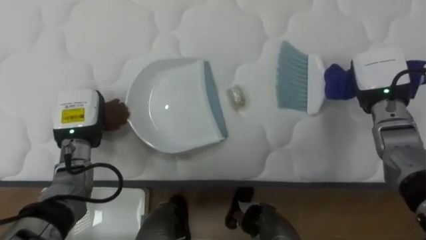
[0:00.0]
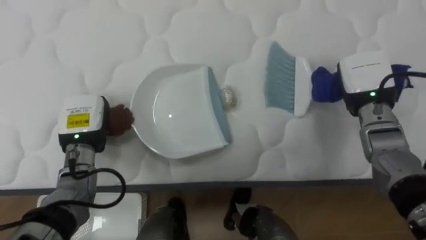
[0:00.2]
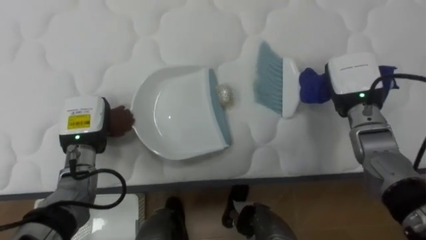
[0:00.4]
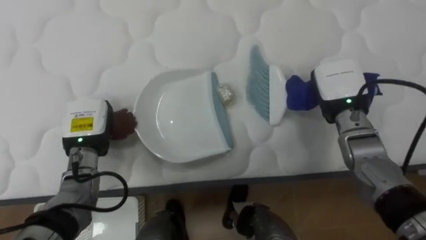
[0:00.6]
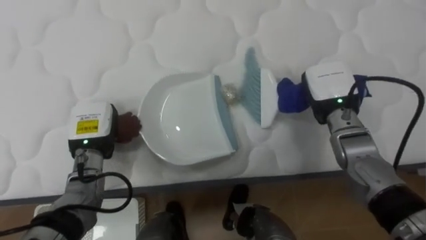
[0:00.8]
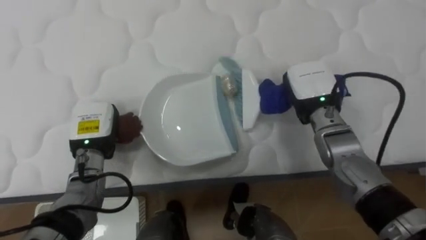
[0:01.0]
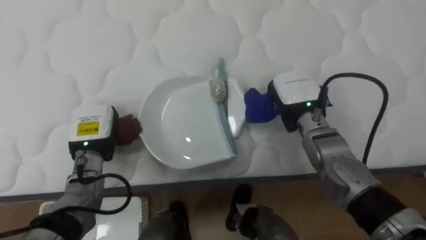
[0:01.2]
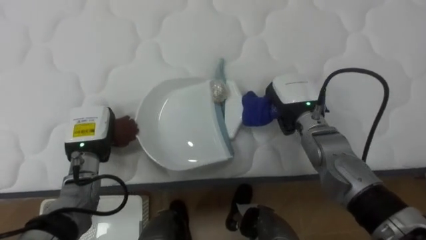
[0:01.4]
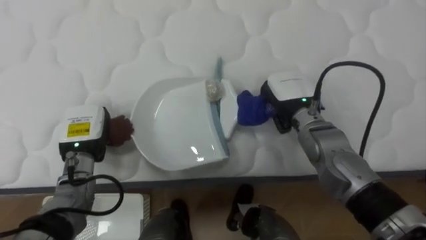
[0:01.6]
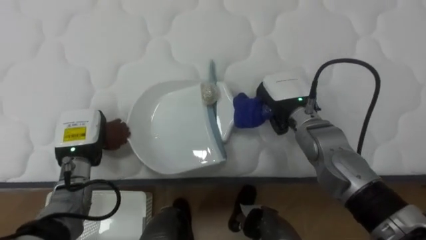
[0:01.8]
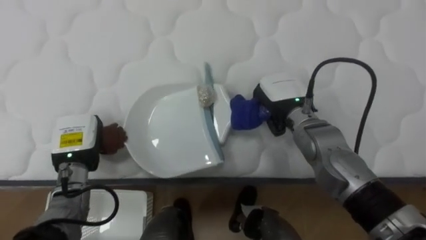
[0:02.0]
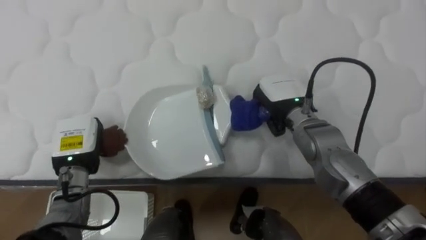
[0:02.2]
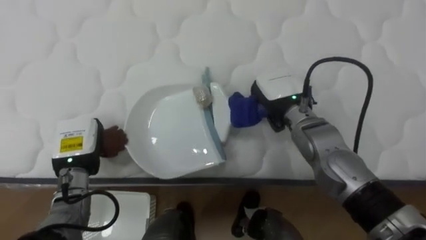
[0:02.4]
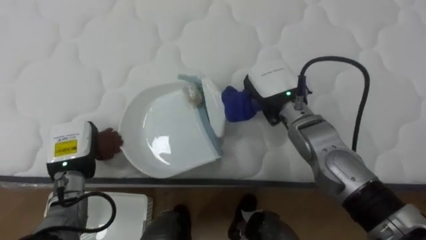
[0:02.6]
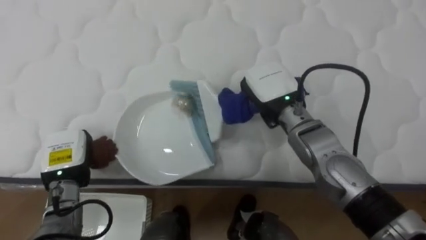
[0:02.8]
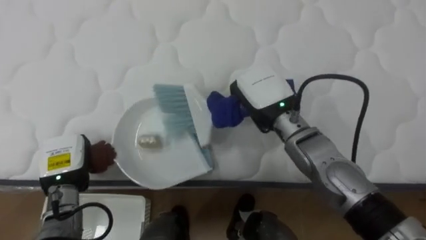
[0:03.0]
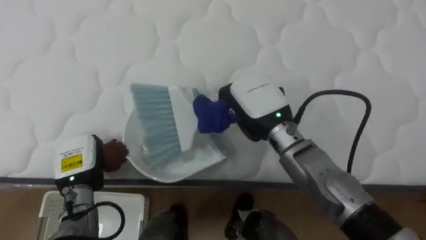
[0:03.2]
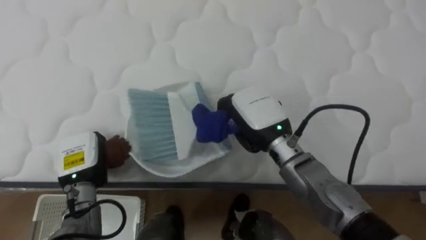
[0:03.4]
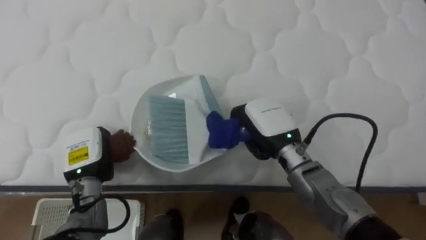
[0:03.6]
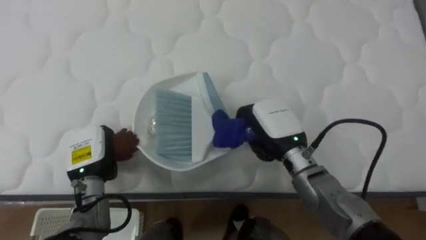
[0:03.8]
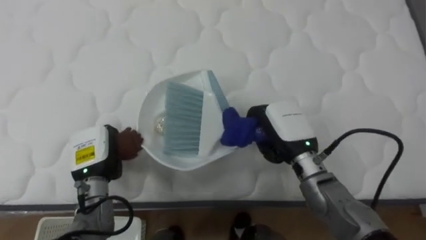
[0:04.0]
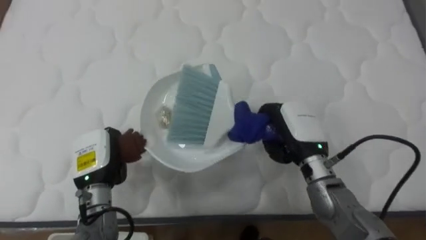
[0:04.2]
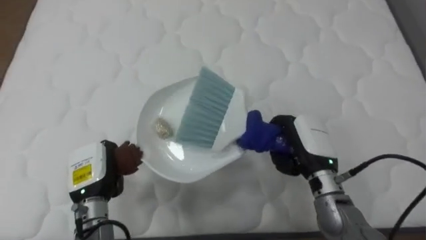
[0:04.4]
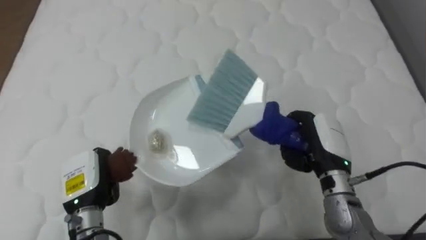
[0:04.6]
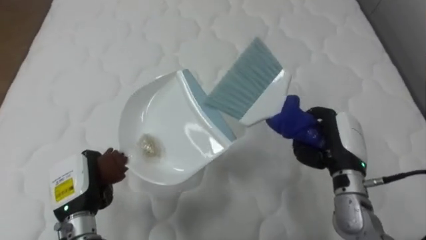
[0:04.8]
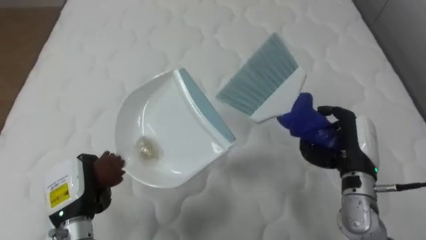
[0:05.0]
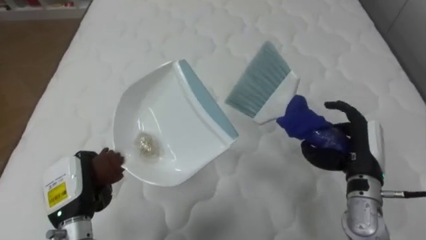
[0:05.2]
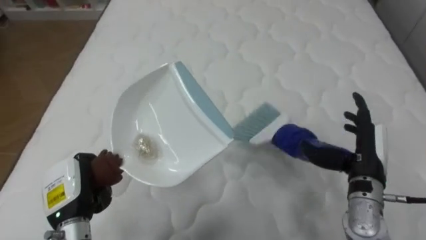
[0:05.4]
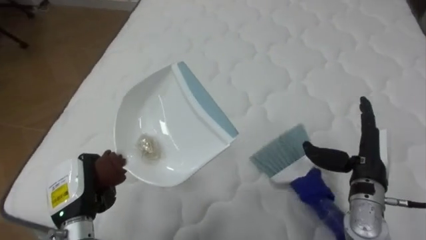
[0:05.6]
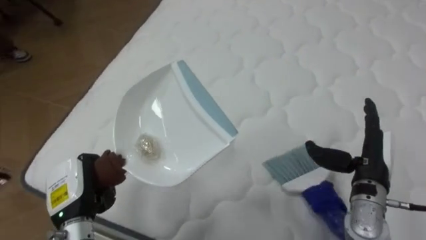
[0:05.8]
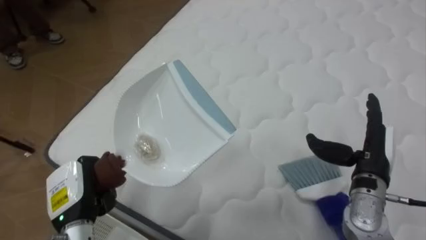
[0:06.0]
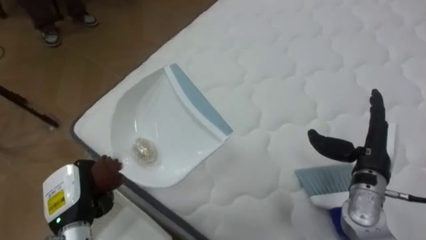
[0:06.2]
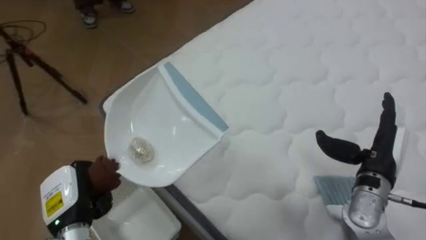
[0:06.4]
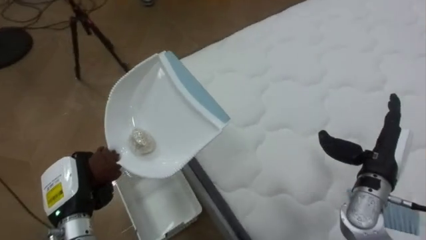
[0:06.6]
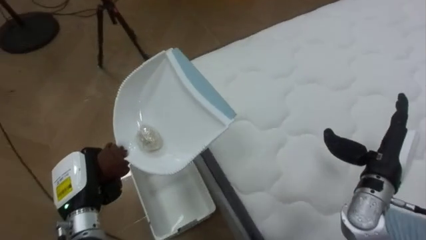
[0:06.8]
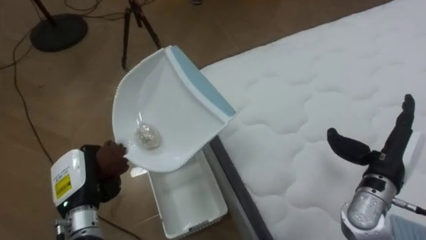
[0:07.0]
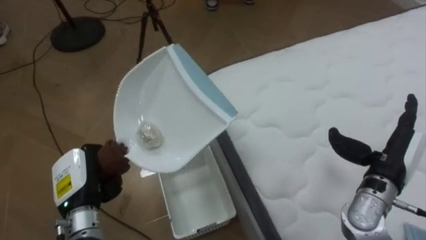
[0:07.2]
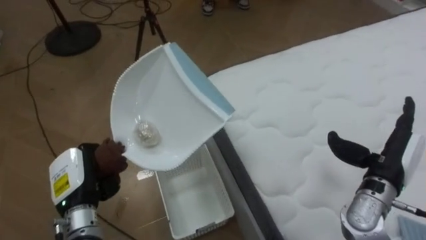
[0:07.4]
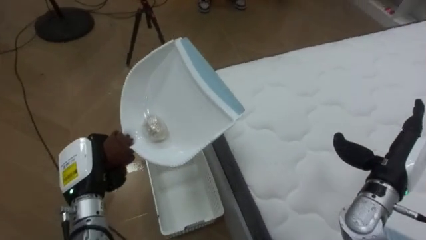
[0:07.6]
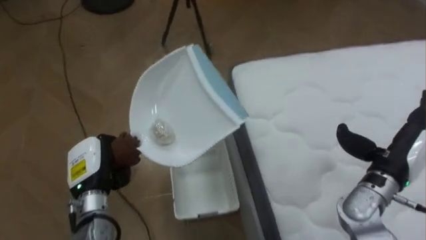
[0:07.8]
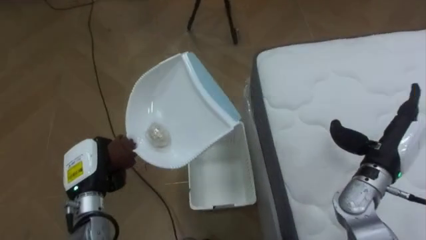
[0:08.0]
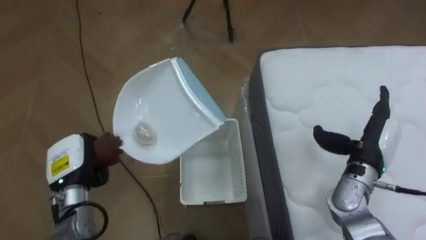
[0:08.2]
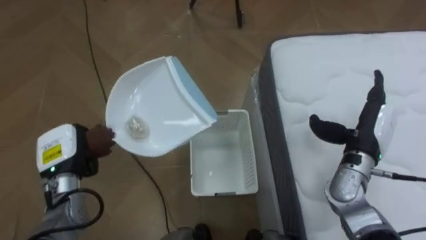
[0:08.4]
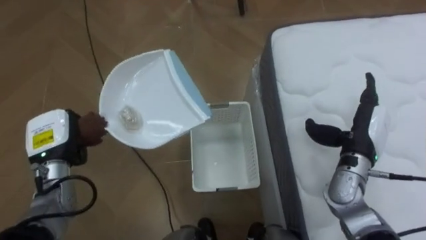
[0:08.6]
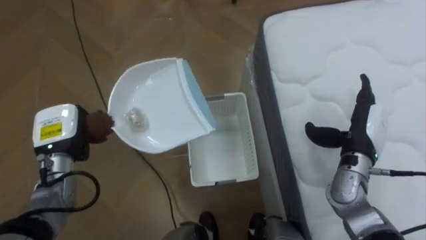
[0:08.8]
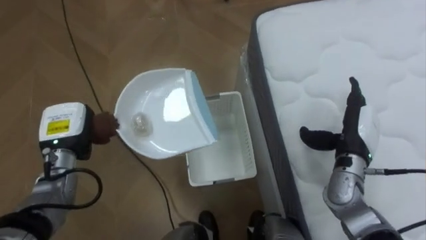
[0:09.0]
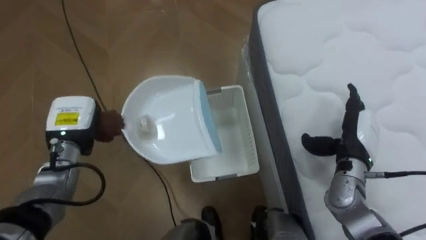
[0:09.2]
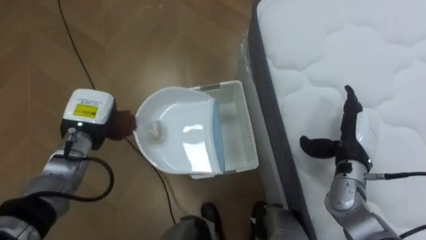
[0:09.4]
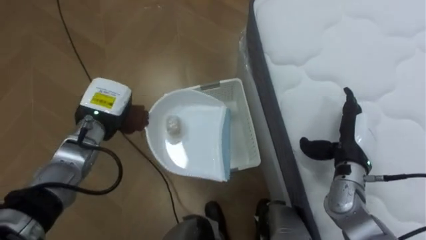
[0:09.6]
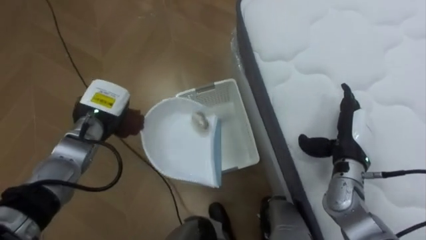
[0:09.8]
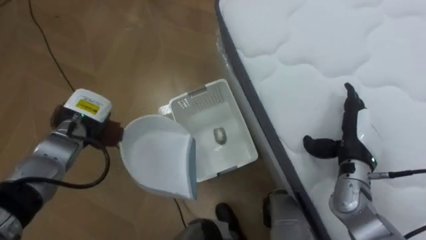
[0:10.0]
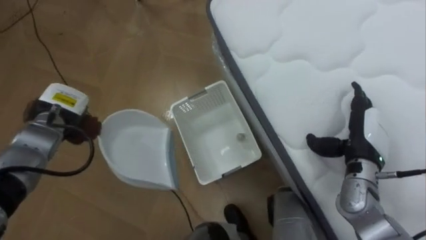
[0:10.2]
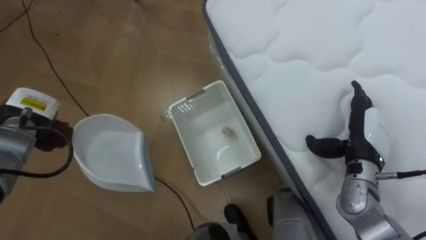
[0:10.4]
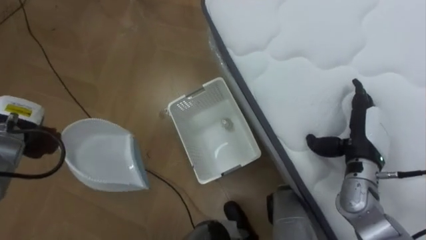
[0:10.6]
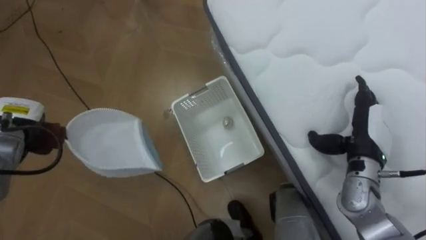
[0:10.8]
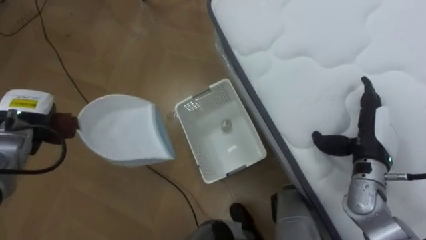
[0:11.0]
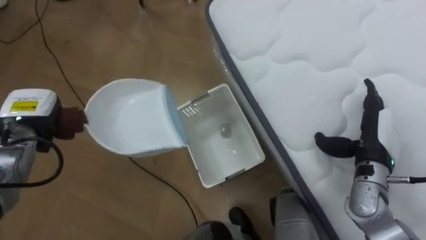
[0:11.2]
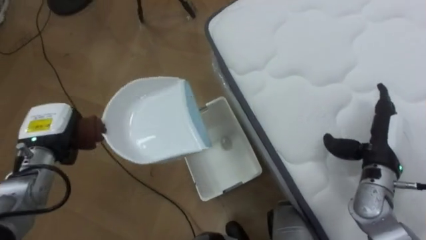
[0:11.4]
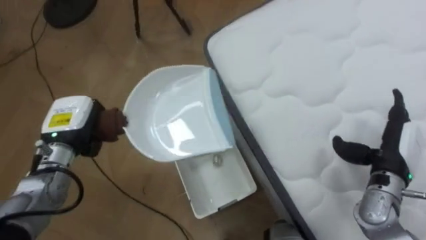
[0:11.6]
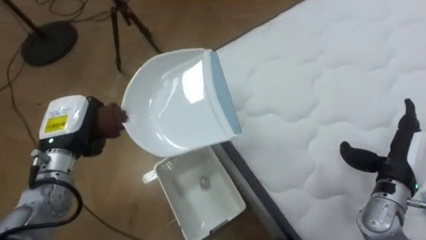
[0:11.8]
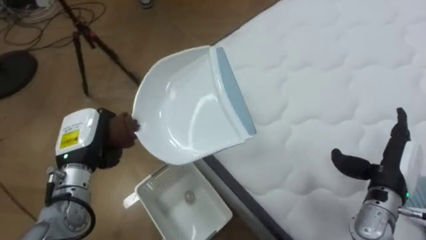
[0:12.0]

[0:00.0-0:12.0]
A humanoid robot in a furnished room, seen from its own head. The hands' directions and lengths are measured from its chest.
Task of the whole recording: Pick up the brush on your right and the dustpan on your left. Use the brush to sweep the crumpled paper on the bed into the dustpan, then turn left and empty it into the basket.
0:00.0 to 0:01.6: The right hand goes approximately 15 cm to the left.
0:01.6 to 0:03.0: The left hand goes approximately 5 cm backward, while the right hand shifts by some 5 cm.
0:03.0 to 0:04.4: The right hand moves to the right, downward and backward, roughly 15 cm. Meanwhile the left hand is displaced to the right by roughly 5 cm.
0:04.4 to 0:06.0: The robot rotates roughly 20 degrees to its left. The right hand travels to the right by approximately 10 cm, and opens its fingers. The left hand shifts by some 5 cm.
0:06.0 to 0:07.6: The robot rotates roughly 50 degrees to its left.
0:07.6 to 0:09.0: The robot faces some 15 degrees further to its left. Both hands travel together forward, some 10 cm.
0:09.0 to 0:10.4: The left hand travels to the left by roughly 5 cm.
0:10.4 to 0:12.0: The robot's body swings roughly 25 degrees to its right. The left hand heads to the right and backward, covering about 10 cm. The right hand goes roughly 5 cm backward.

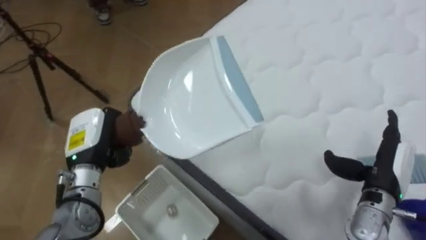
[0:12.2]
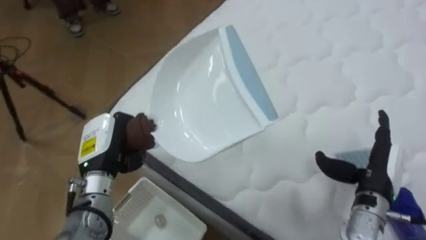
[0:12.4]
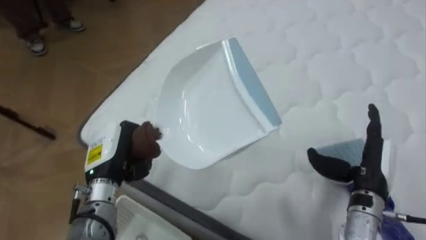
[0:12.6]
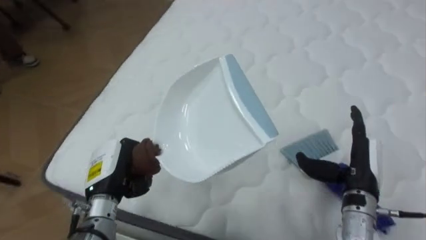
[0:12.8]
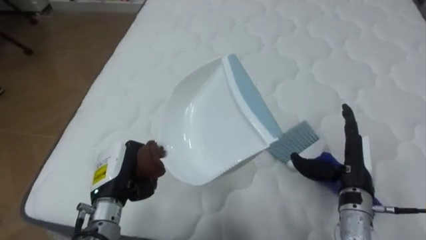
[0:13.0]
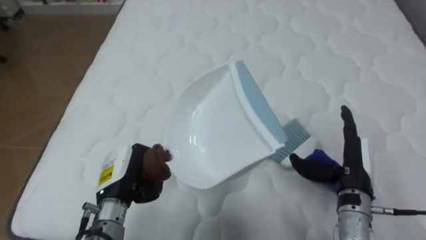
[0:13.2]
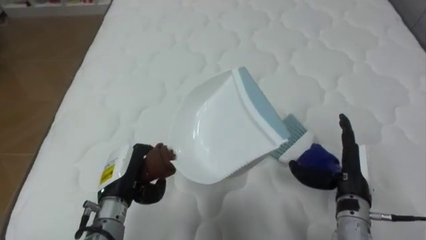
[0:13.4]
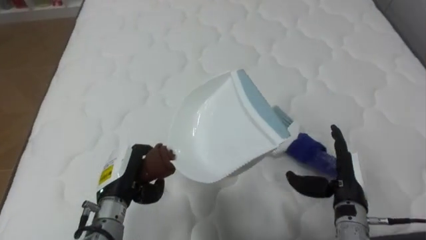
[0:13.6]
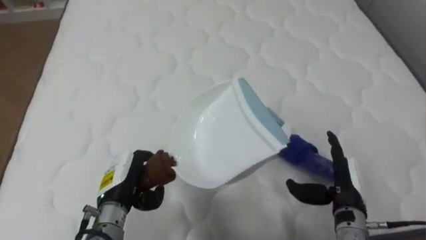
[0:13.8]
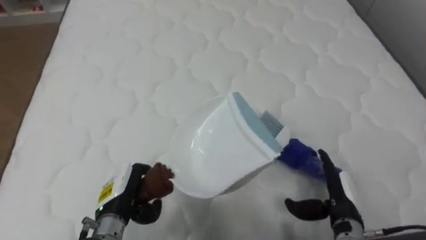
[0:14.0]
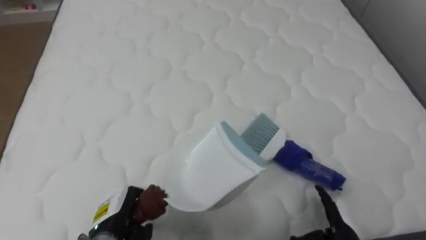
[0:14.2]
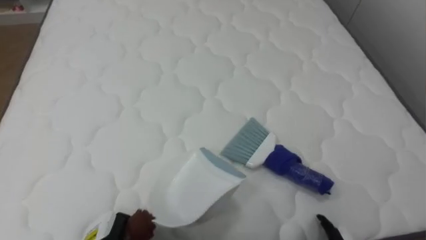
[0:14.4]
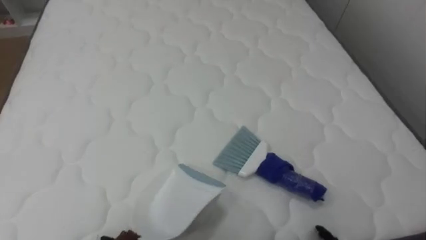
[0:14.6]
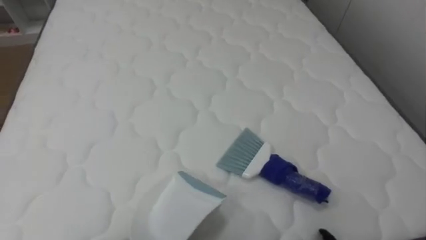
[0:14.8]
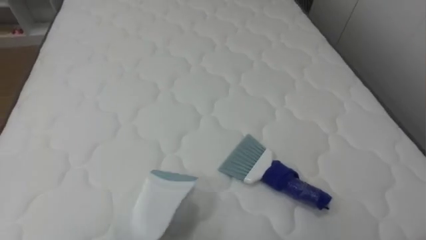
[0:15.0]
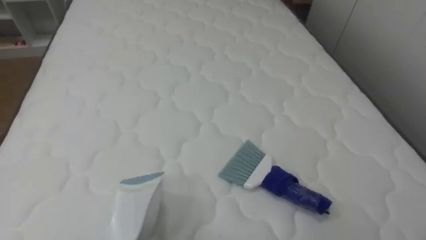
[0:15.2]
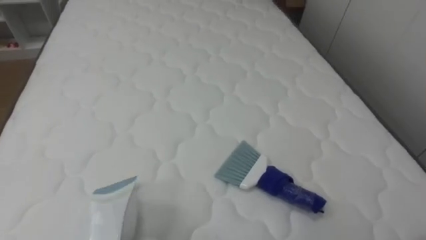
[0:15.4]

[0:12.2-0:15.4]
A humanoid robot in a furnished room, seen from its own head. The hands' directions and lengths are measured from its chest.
Task of the whole recording: Pick up the brush on your right and the dustpan on your left. Use the brush to sweep the crumpled paper on the bed into the dustpan, then turn left and empty it into the basket.
0:12.2 to 0:13.8: The robot faces about 50 degrees further to its right. The right hand travels to the left by approximately 5 cm; the left hand goes approximately 10 cm downward, to the right and backward.

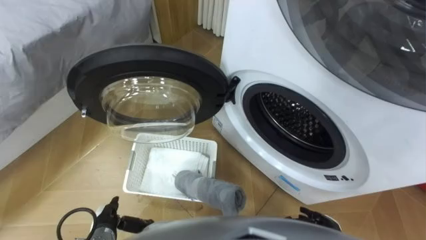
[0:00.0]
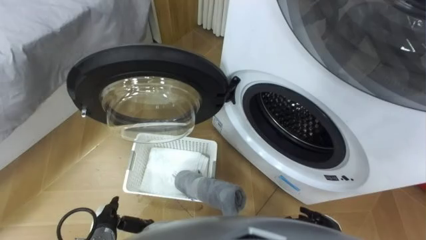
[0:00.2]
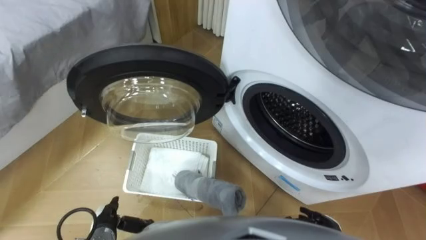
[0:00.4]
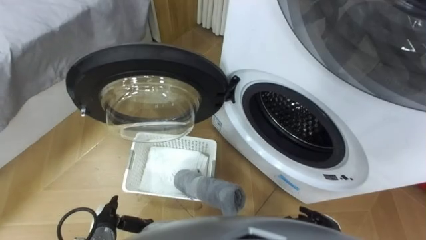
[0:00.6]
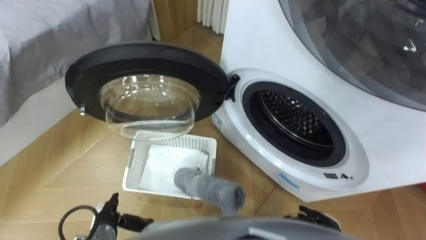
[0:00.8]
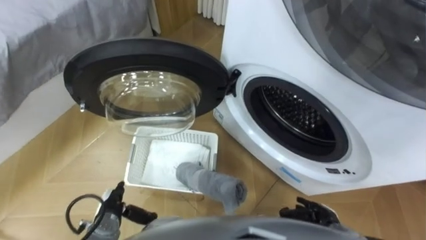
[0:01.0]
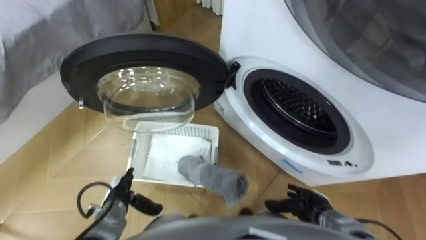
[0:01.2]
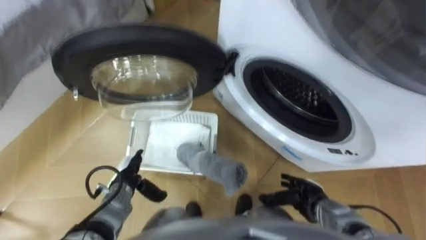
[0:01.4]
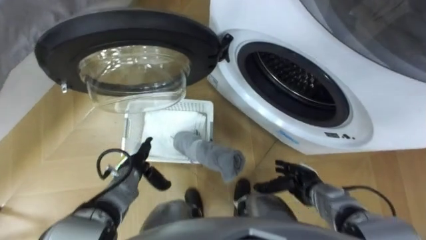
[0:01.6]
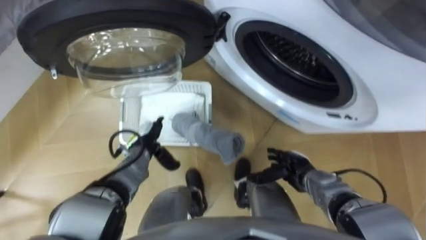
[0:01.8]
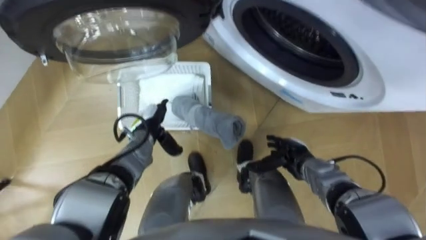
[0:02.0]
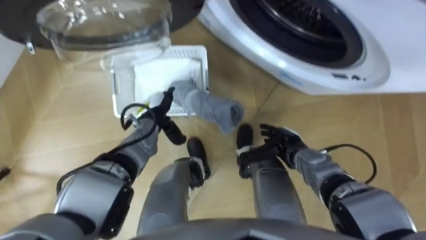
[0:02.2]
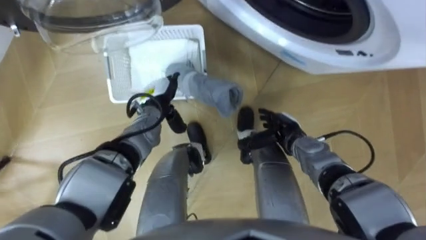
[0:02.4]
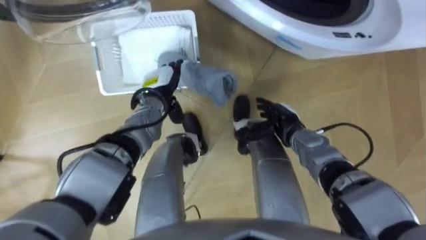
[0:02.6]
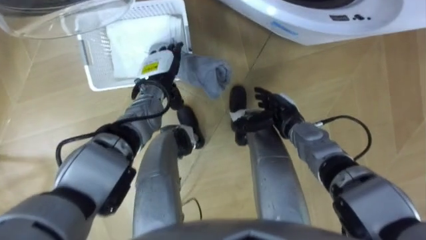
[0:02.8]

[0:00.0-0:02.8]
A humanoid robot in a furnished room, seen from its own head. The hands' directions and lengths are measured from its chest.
Task of the whole recording: Take the towel from the basket and put it into the washing machine.
0:01.4 to 0:02.8: The left hand travels forward, upward and to the right by about 25 cm; the right hand goes roughly 20 cm forward, upward and to the left.
